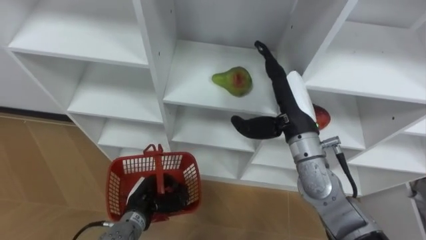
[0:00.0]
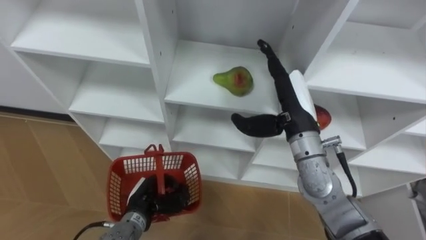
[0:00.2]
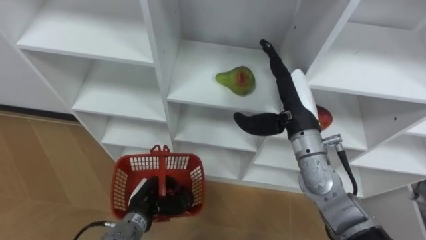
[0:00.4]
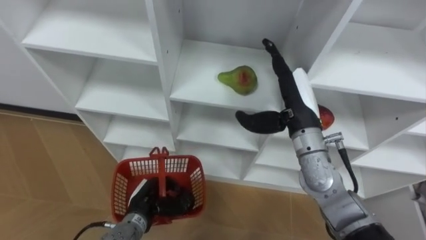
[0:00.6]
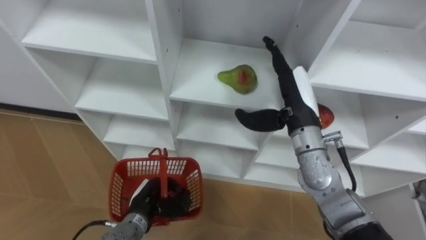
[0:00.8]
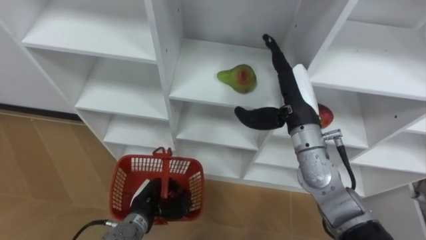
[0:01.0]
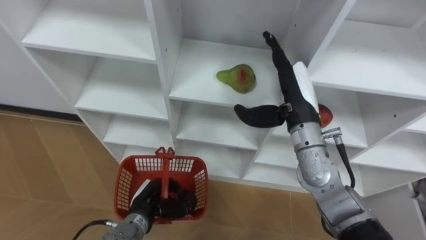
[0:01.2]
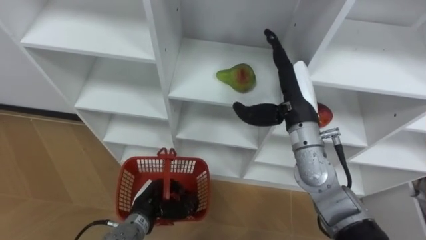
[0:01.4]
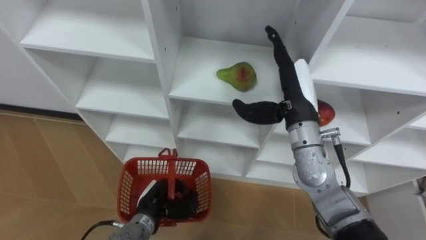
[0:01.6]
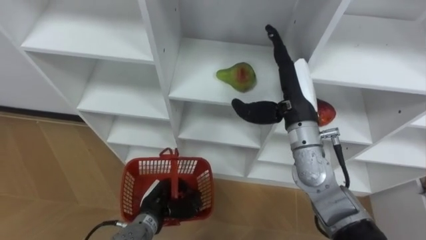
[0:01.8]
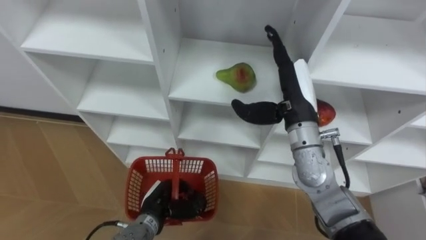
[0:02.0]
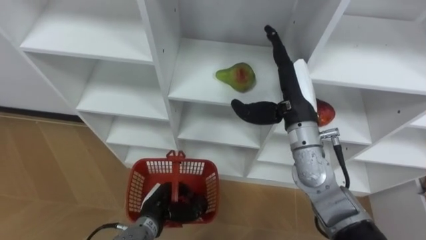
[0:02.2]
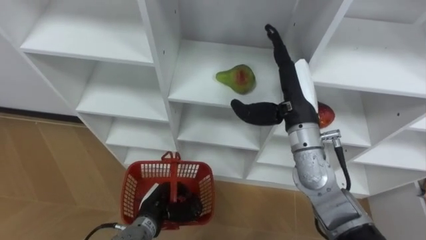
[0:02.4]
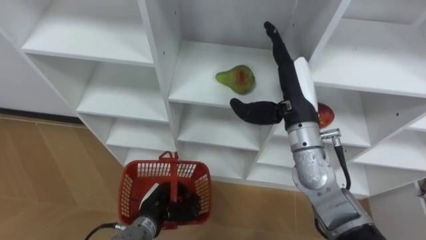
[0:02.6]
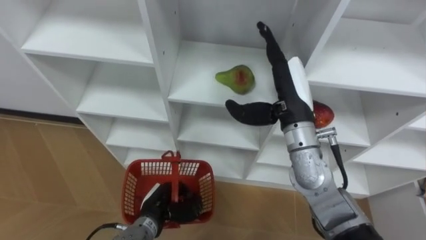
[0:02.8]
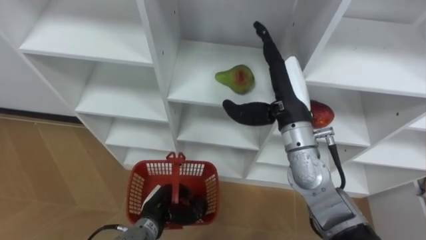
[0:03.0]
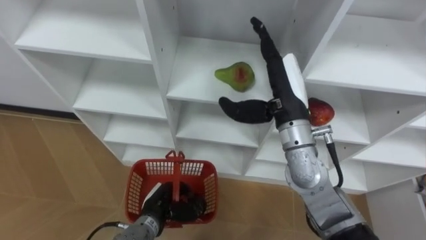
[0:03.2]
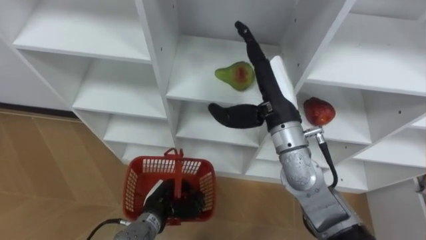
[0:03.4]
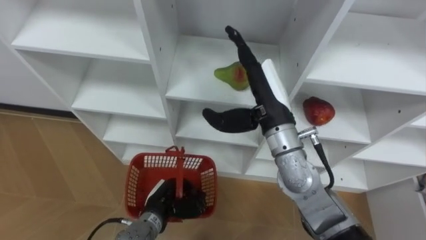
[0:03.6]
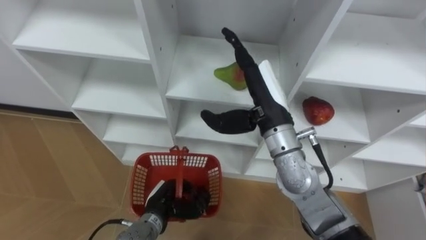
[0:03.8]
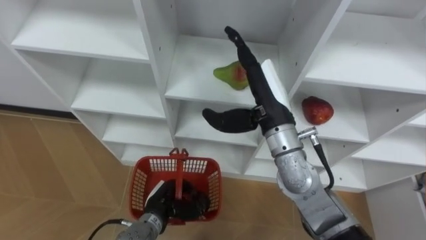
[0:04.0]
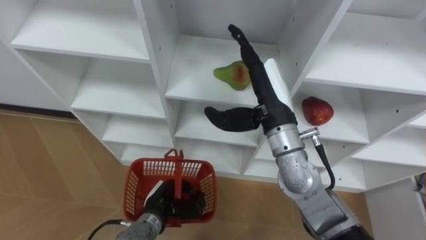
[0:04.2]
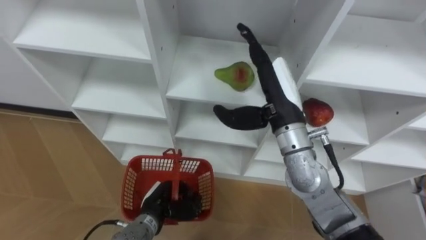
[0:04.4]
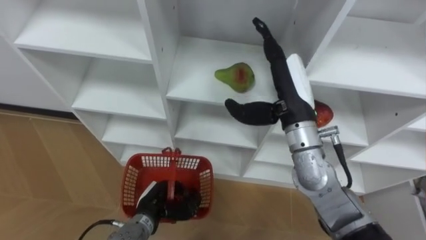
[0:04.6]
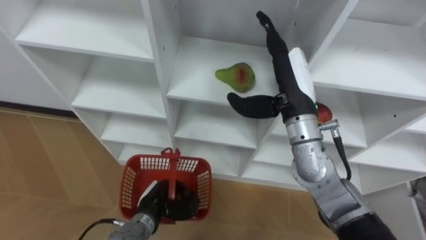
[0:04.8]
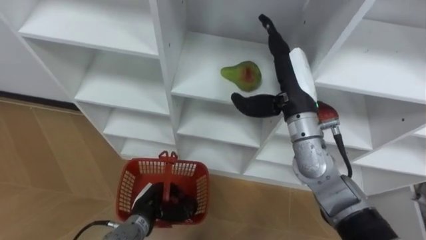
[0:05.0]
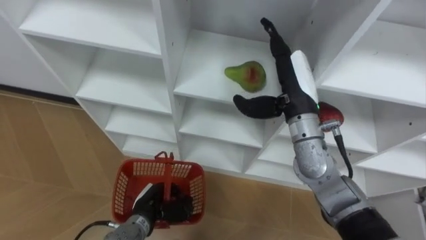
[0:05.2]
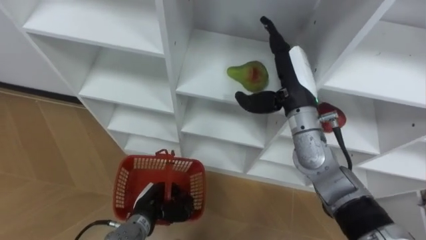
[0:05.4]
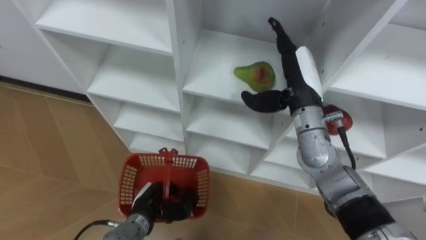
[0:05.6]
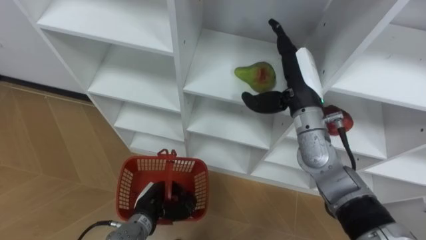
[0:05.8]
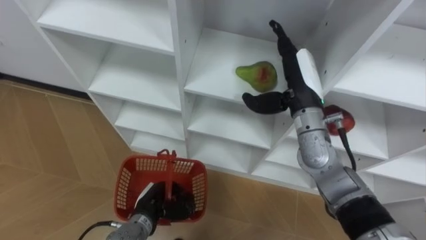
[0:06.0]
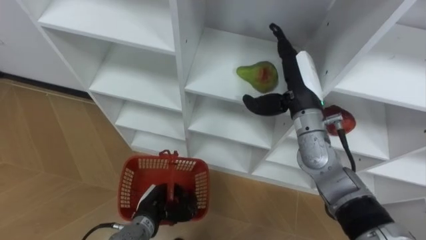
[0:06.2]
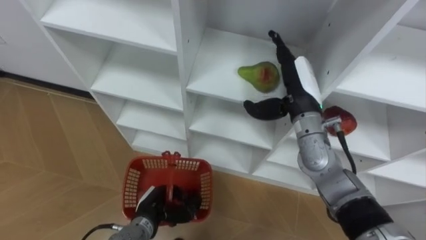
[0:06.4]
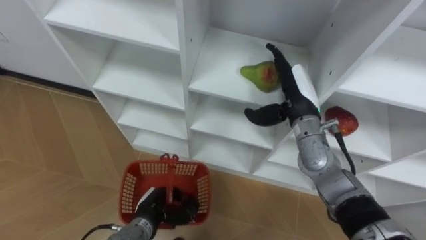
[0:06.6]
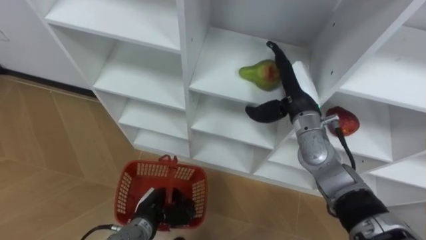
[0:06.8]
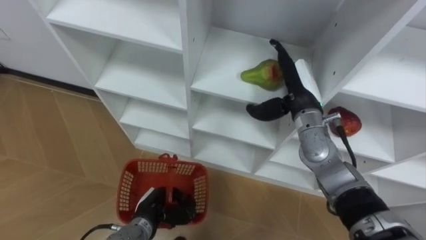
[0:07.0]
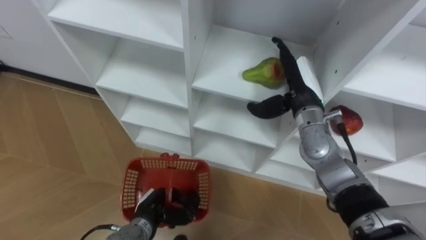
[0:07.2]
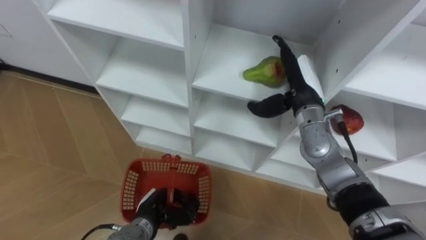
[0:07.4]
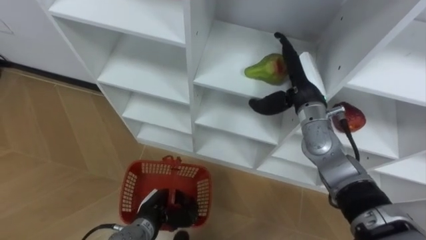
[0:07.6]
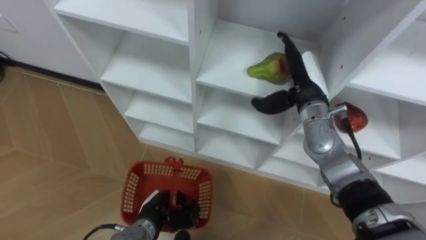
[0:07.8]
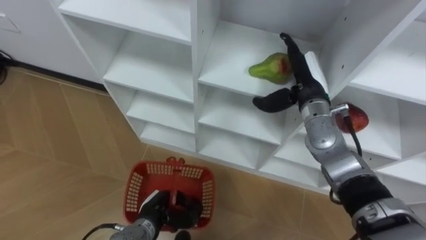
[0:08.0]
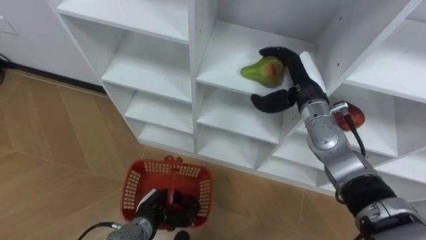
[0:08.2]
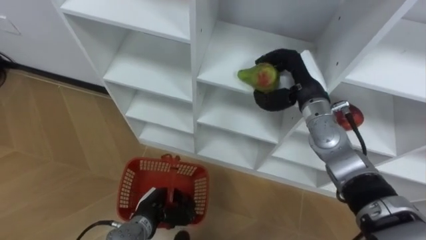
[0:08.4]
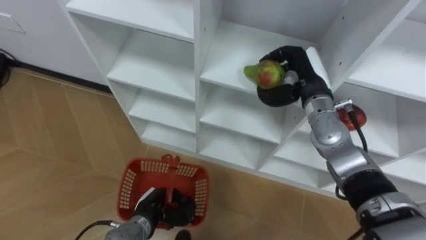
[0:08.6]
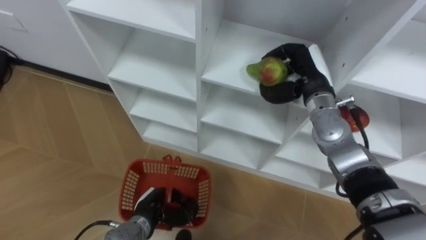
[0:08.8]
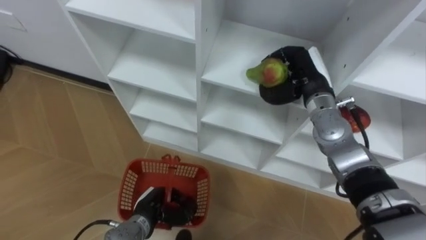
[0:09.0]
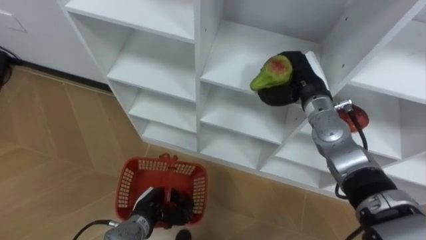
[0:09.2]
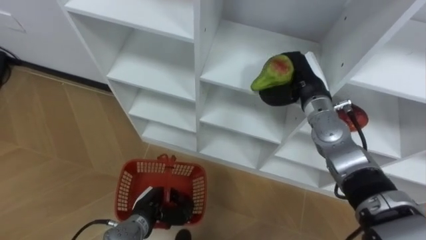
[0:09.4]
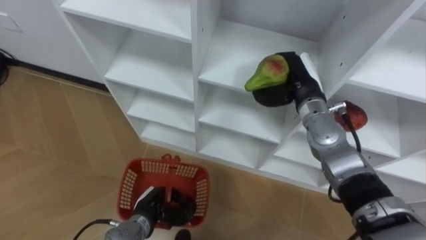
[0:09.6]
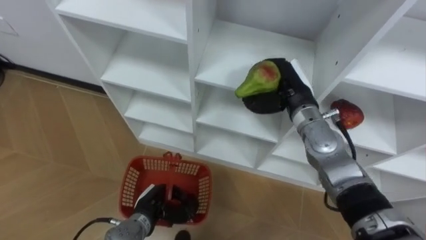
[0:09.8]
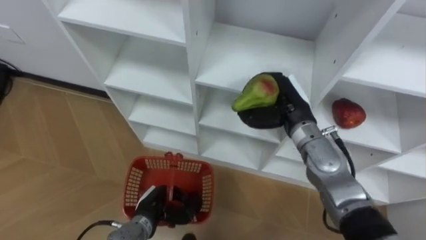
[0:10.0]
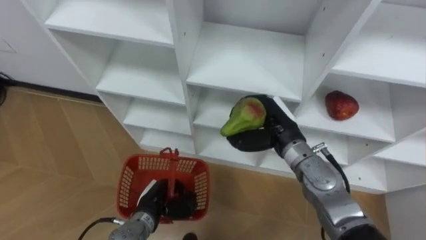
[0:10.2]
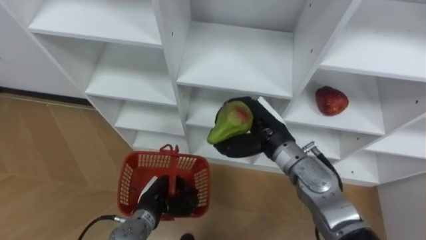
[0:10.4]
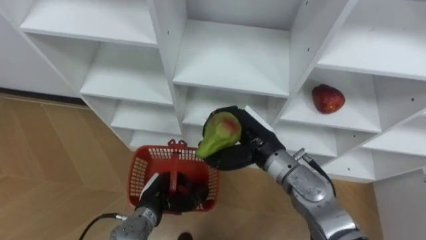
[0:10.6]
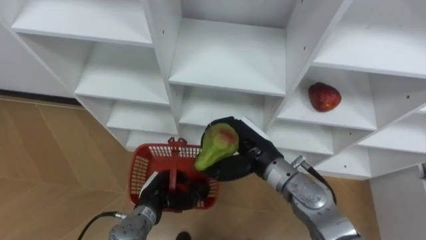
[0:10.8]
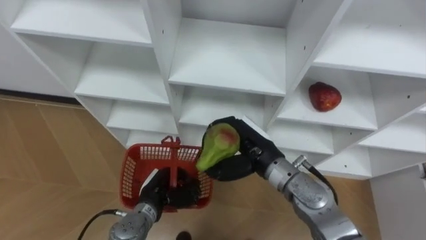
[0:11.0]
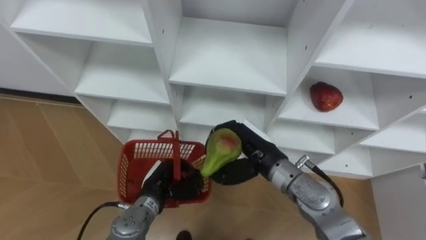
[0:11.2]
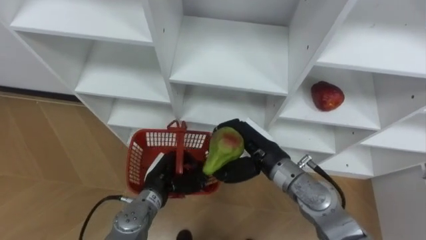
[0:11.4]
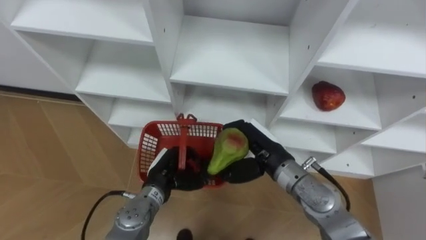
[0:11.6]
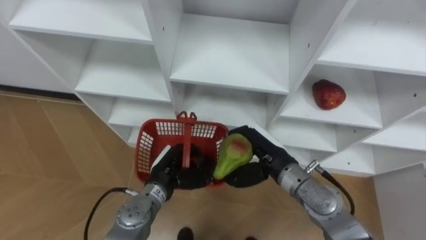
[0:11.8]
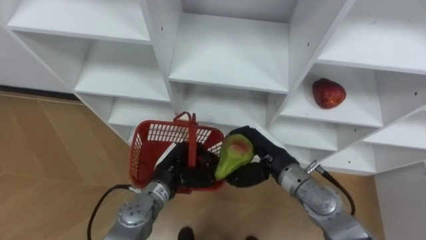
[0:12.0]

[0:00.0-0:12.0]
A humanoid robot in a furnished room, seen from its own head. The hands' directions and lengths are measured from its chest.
Task of the whole recording: Hold the basket and collect the fruits from 3 different cells of the closet into it.
0:01.6 to 0:04.4: The hands move only a little.
0:04.4 to 0:06.0: The right hand ends up approximately 5 cm from where it was.
0:07.6 to 0:09.0: The right hand closes up.
0:09.0 to 0:10.4: The right hand heads backward and to the left, covering approximately 10 cm.
0:10.4 to 0:12.0: The right hand moves roughly 5 cm. Meanwhile the left hand goes some 5 cm upward.

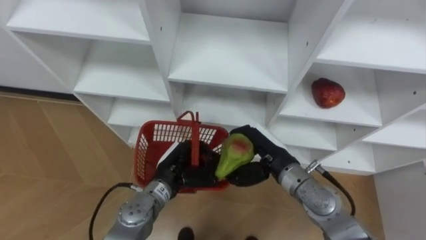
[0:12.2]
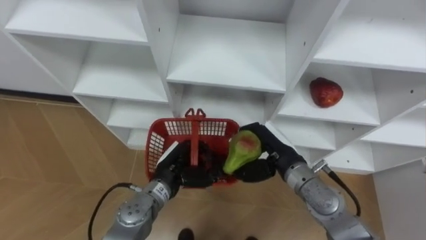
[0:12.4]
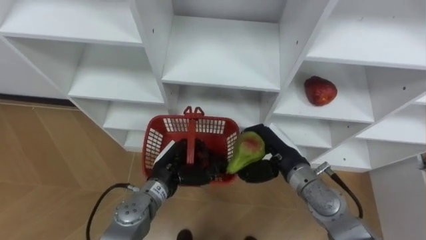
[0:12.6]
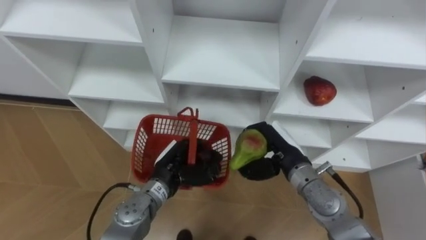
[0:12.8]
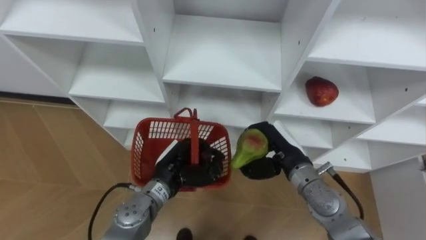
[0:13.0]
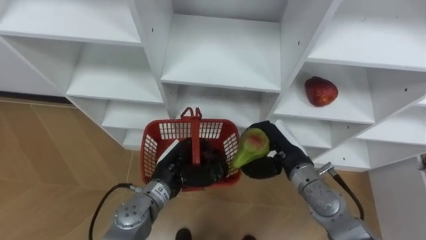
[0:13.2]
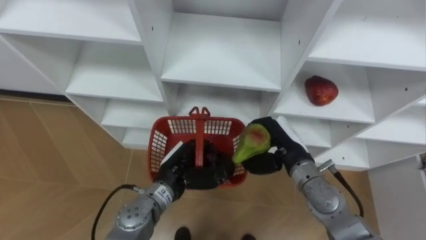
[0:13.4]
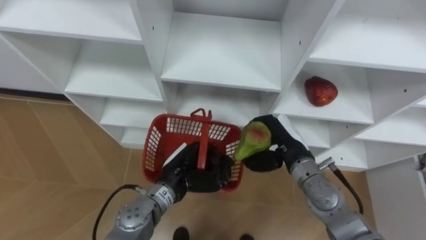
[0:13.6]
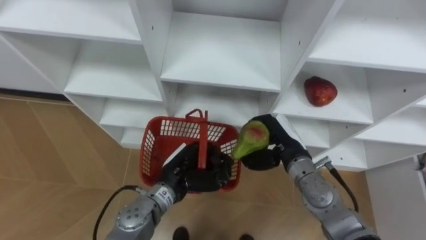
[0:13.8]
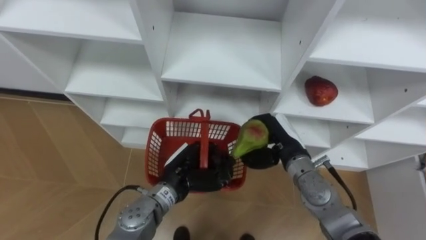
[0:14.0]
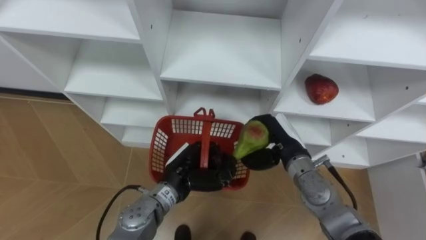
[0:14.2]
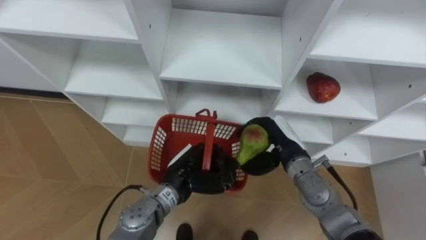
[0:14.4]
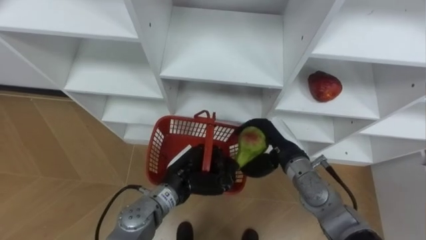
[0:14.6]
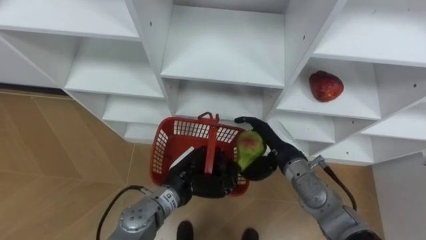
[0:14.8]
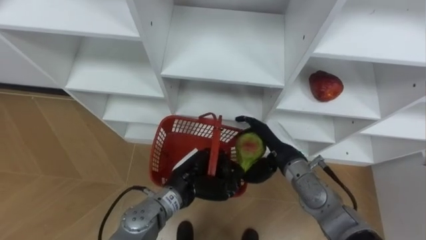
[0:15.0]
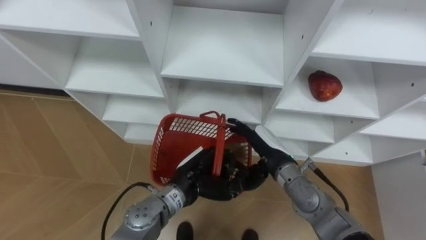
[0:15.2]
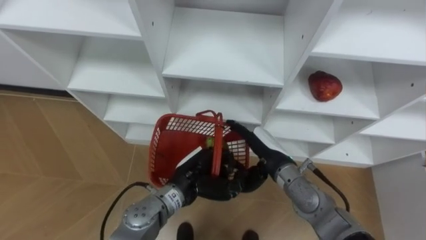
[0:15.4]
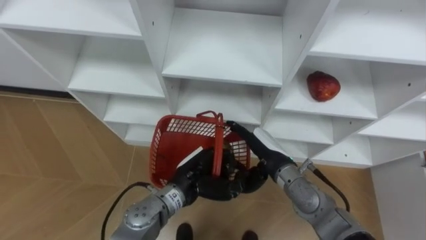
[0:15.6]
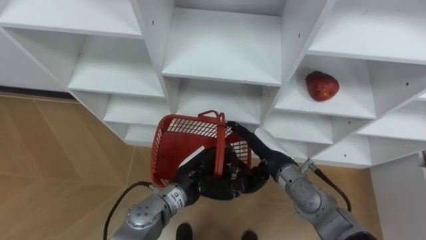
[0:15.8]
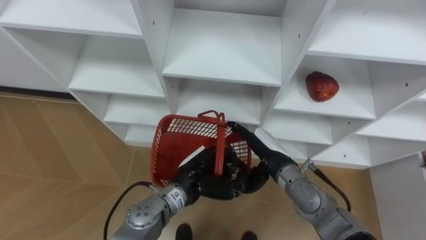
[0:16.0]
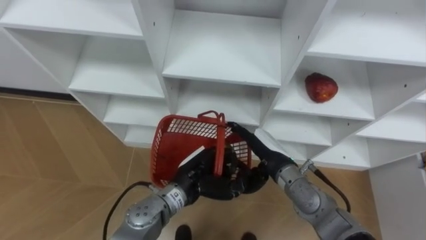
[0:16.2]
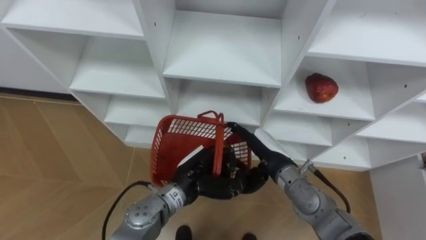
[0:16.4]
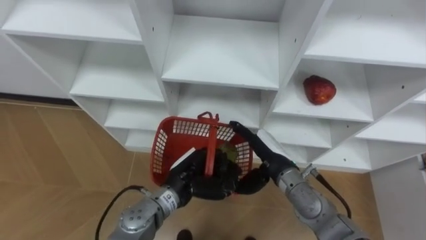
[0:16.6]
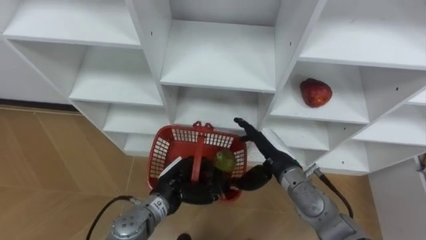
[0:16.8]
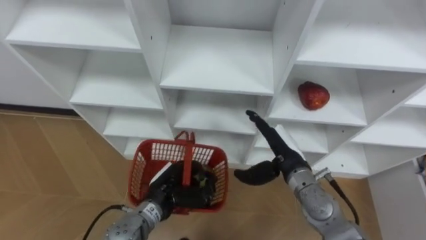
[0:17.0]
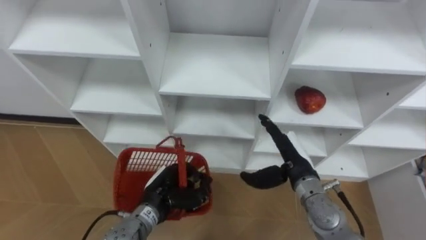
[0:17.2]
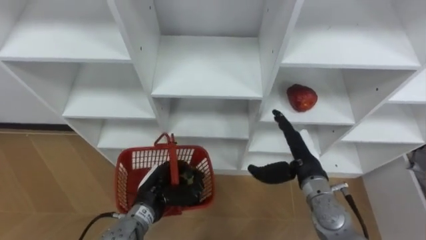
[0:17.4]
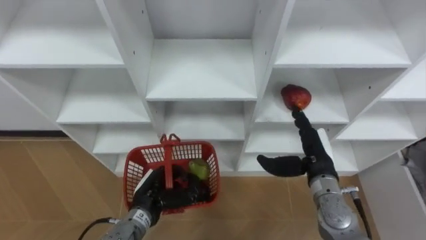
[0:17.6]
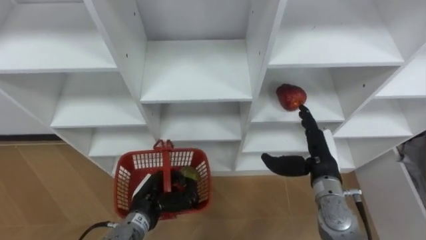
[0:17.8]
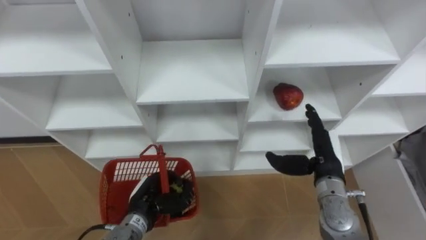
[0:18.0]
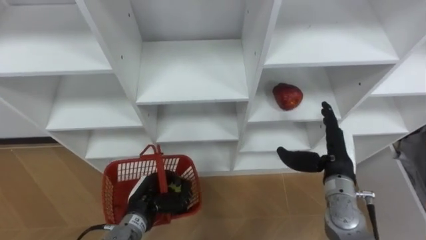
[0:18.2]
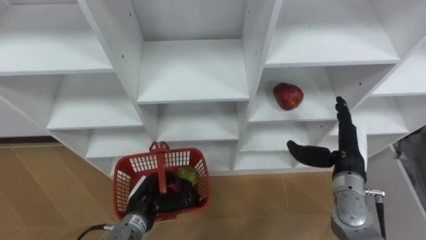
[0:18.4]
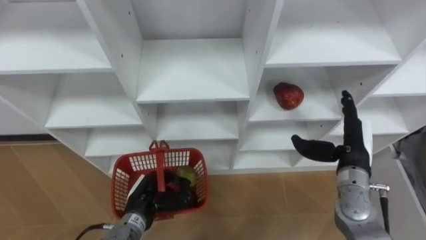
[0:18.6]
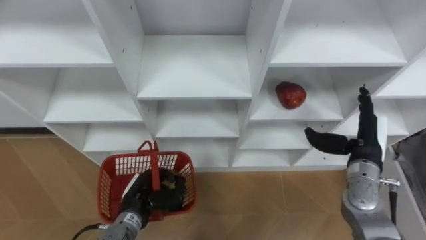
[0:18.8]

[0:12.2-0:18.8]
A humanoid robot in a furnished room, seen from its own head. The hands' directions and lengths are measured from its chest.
Task of the whole recording: Hold the basket and collect the fruits from 3 different cells of the closet into it.
0:12.2 to 0:13.8: The hands move only a little.
0:13.8 to 0:15.4: The right hand opens.
0:15.4 to 0:17.2: The left hand travels to the left by roughly 5 cm.
0:17.2 to 0:18.8: The left hand ends up about 5 cm from where it was; the right hand is displaced to the right by approximately 15 cm.
